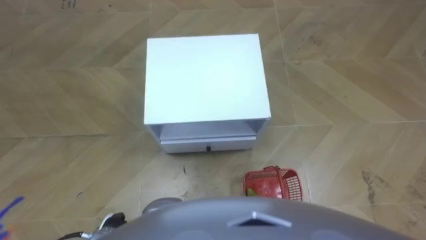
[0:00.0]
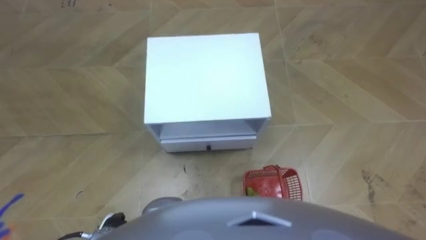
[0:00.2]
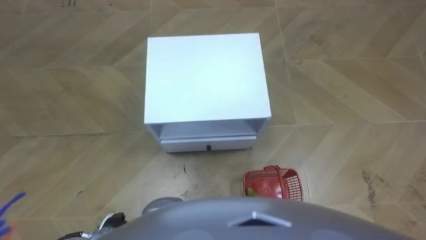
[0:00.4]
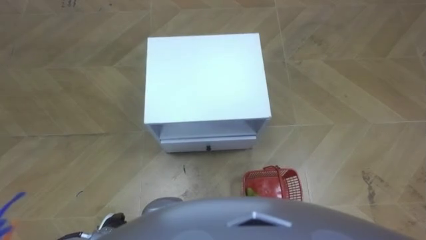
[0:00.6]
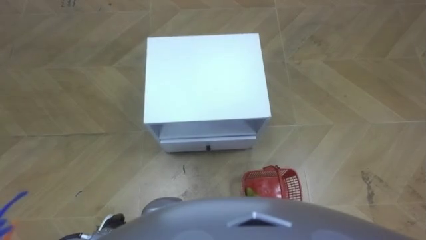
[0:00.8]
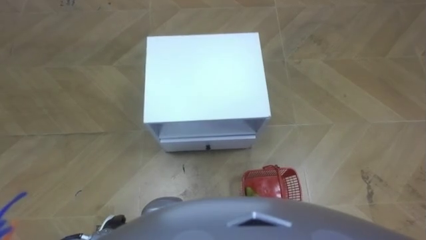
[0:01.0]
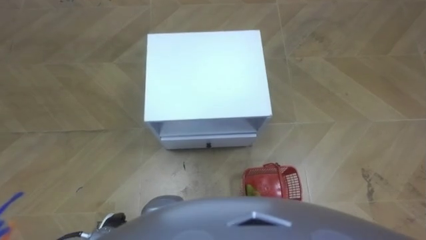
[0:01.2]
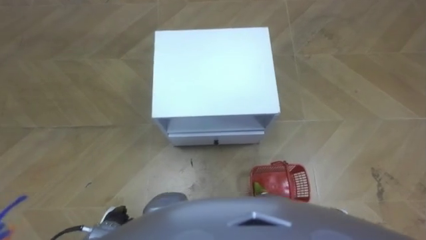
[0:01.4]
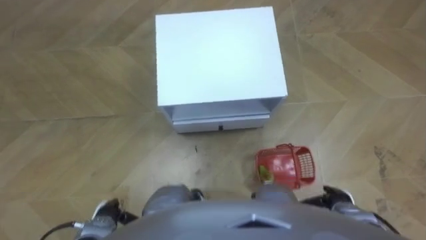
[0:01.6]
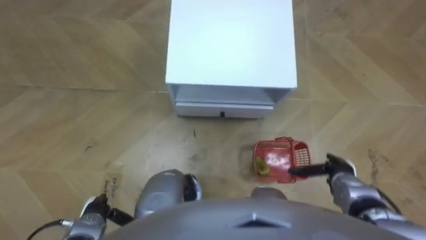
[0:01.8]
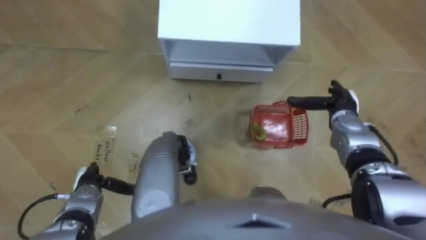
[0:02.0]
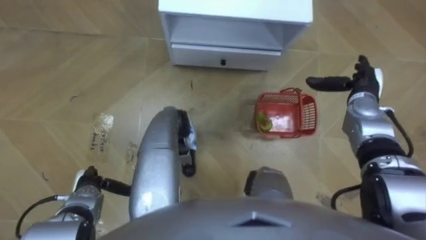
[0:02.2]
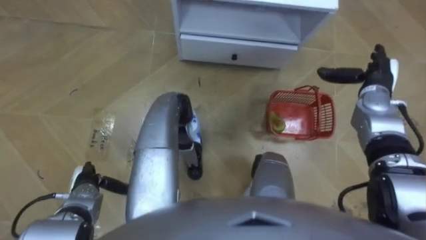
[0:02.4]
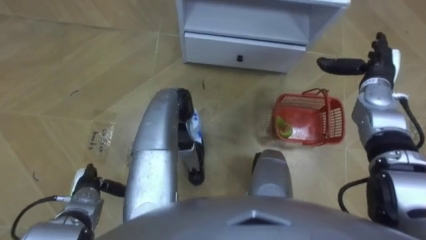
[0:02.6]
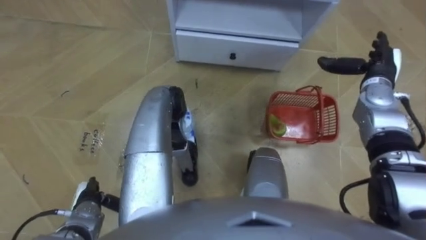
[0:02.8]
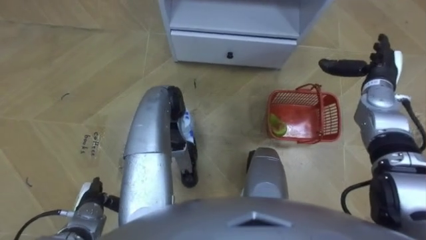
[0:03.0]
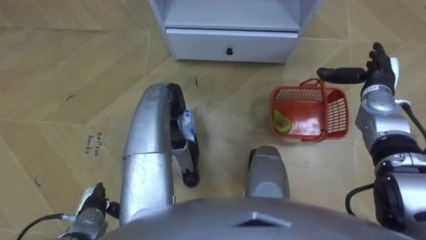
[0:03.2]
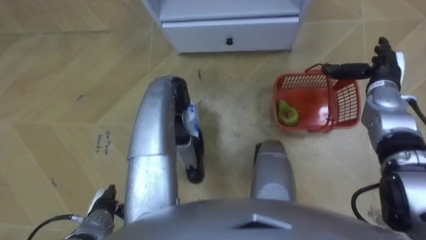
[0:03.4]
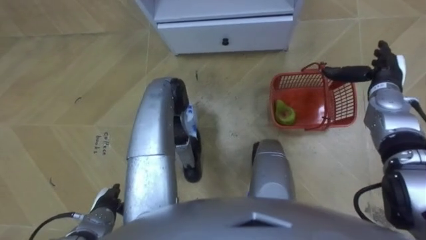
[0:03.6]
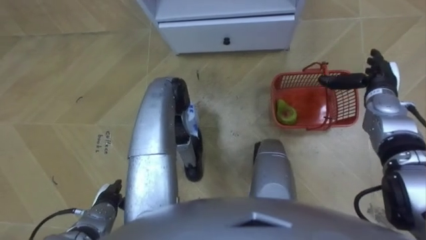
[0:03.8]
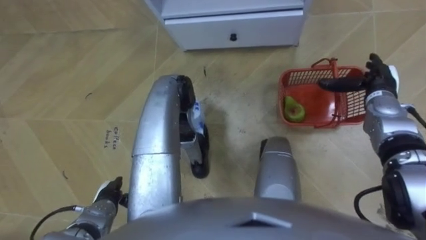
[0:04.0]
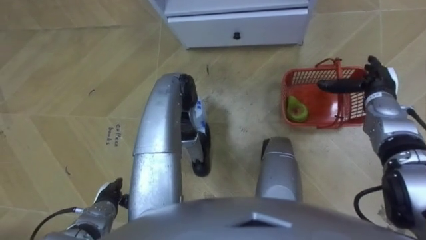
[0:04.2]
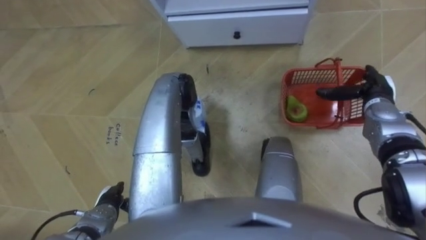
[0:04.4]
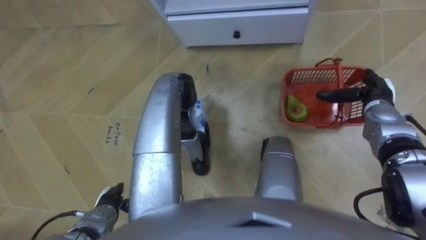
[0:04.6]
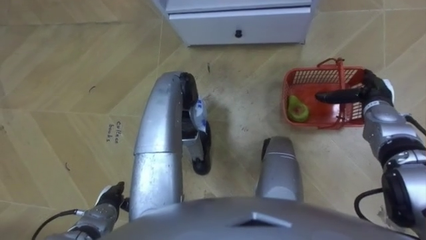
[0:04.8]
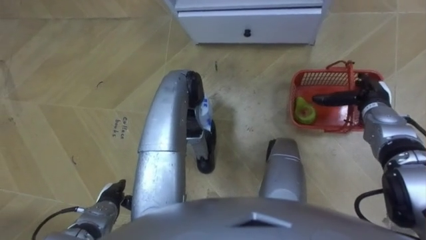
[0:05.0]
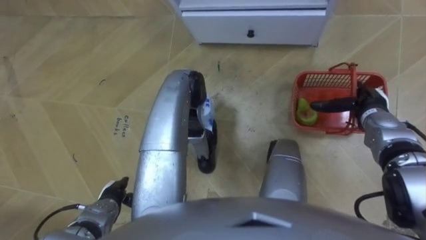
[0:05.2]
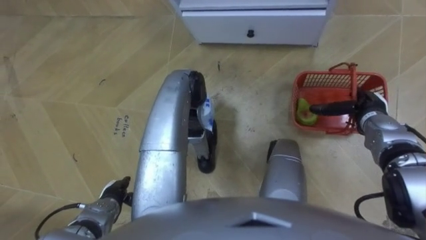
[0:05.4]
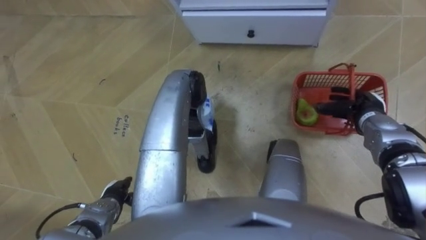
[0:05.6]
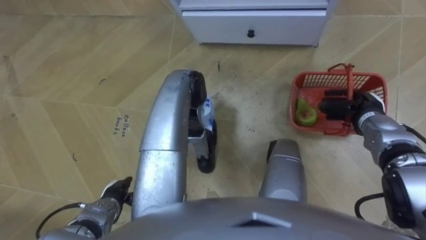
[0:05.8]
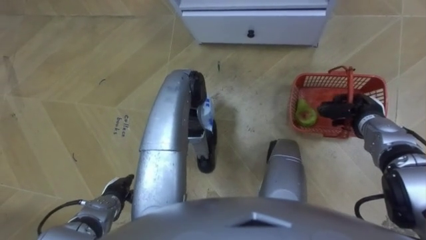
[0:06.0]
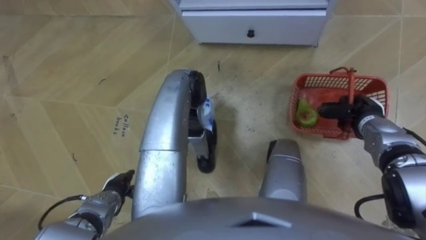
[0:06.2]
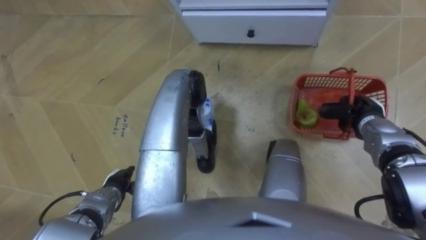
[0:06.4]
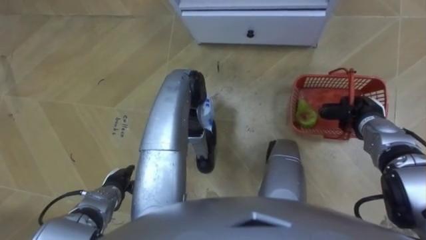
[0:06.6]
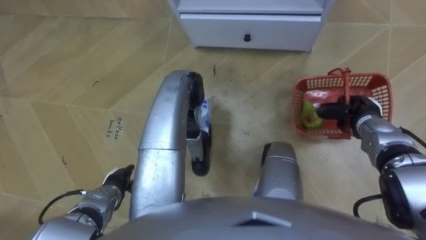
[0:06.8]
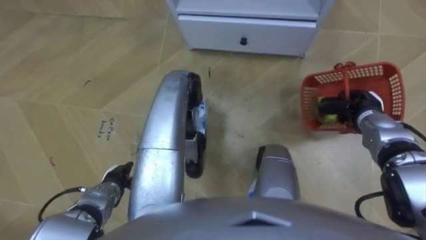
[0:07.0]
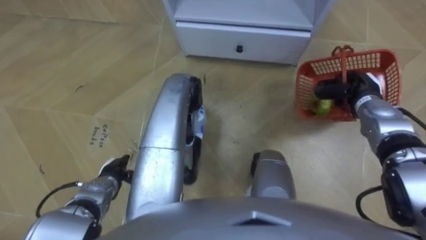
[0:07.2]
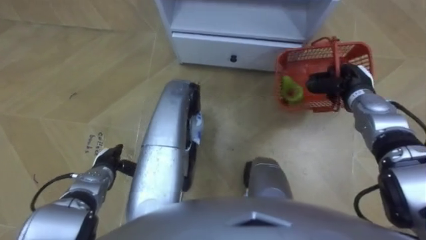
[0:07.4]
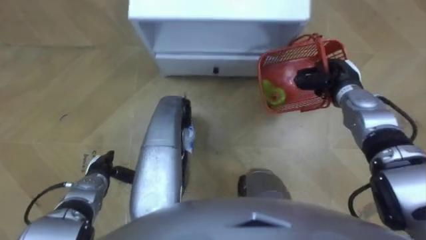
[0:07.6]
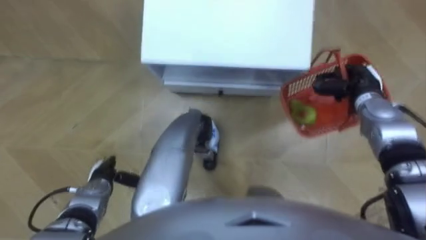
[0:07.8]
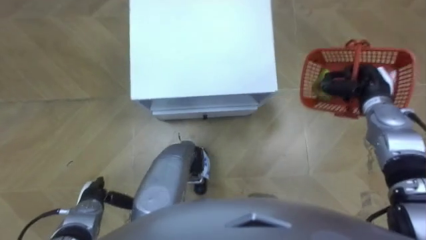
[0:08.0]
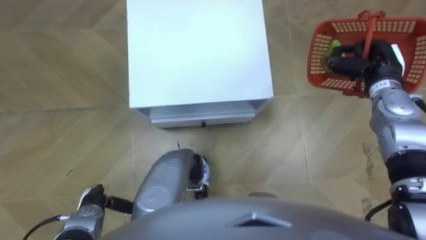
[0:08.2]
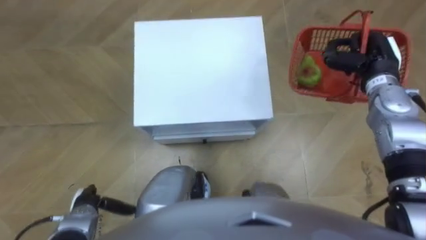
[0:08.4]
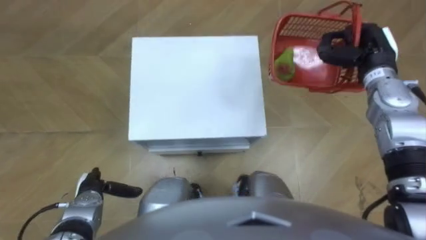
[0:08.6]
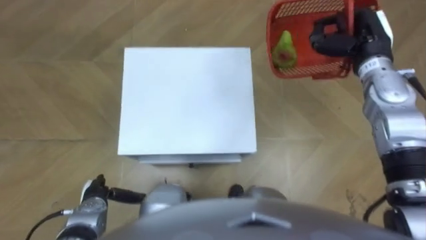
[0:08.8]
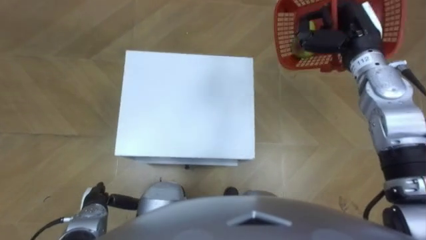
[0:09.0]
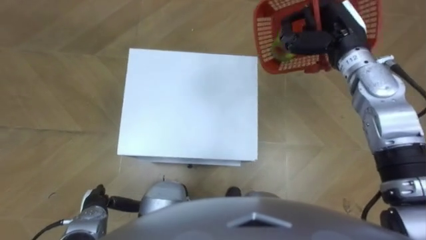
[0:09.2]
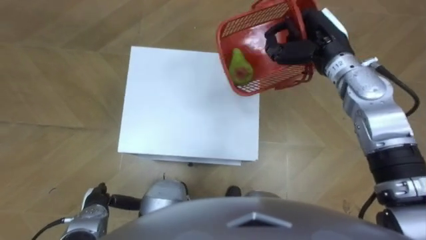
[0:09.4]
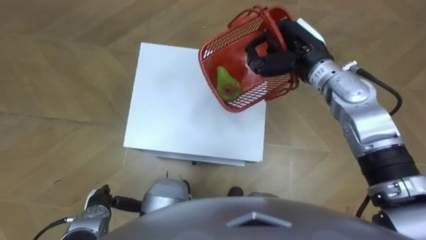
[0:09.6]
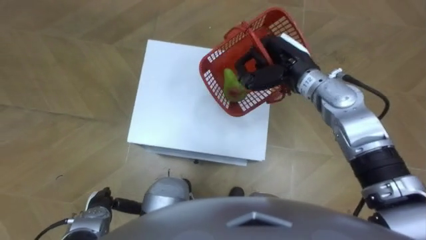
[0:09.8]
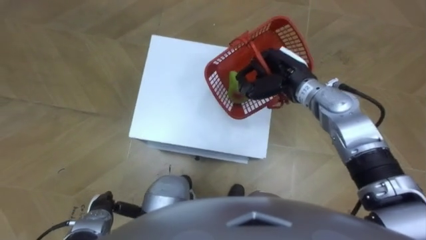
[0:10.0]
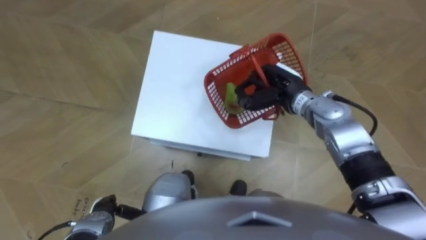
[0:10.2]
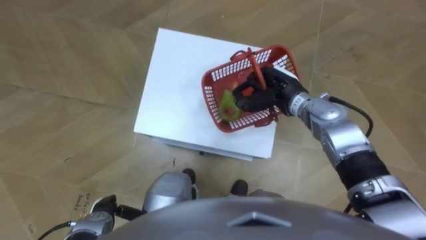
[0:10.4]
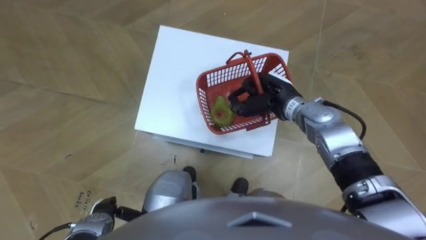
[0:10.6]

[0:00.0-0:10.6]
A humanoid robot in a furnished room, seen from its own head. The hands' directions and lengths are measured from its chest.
Task of the whole recording: Pick up the fruit basket from the floor and place it on the cabinet.
0:01.6 to 0:03.0: The right hand shifts approximately 30 cm forward and upward.
0:03.0 to 0:04.6: The right hand moves some 5 cm.
0:04.6 to 0:06.0: The right hand closes.
0:06.0 to 0:07.6: The left hand heads forward, covering approximately 5 cm, while the right hand travels forward and to the left by approximately 10 cm.
0:07.6 to 0:09.0: The left hand is displaced backward by roughly 10 cm; the right hand goes roughly 10 cm upward.
0:09.0 to 0:10.6: The right hand heads to the left, downward and backward, covering roughly 20 cm.

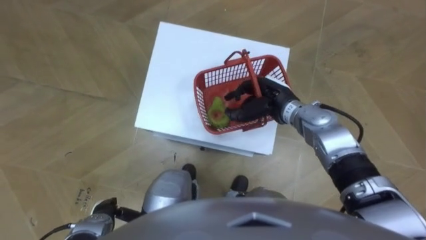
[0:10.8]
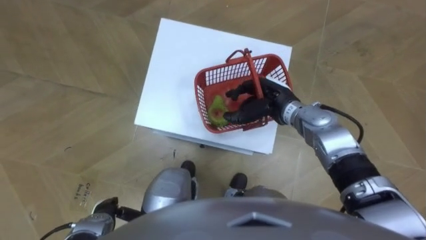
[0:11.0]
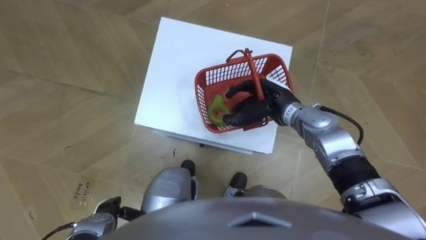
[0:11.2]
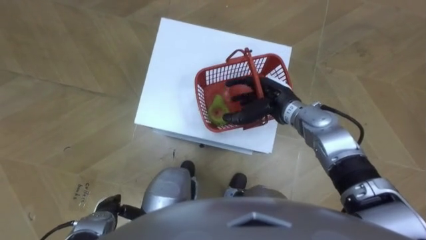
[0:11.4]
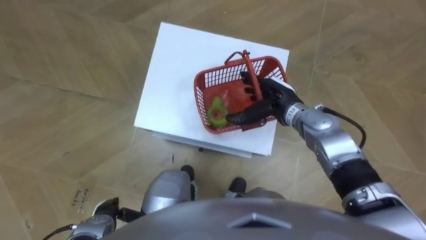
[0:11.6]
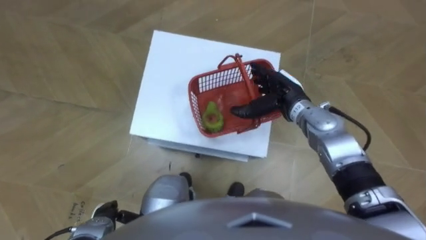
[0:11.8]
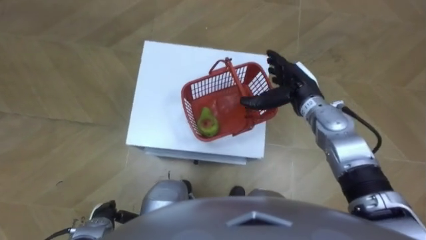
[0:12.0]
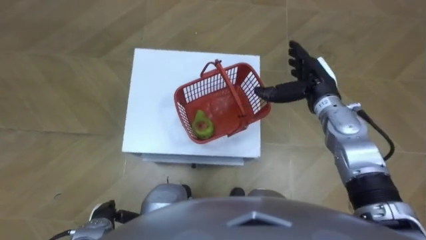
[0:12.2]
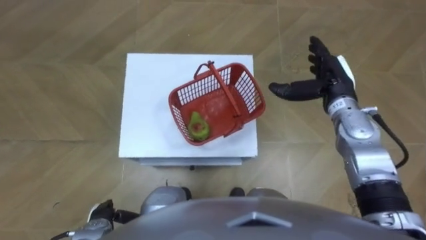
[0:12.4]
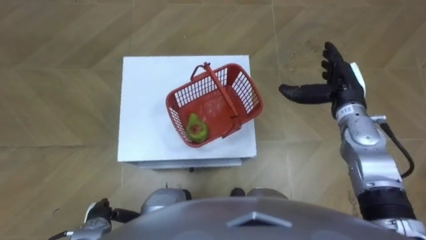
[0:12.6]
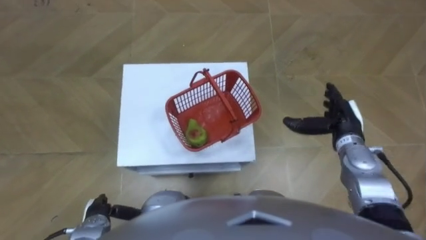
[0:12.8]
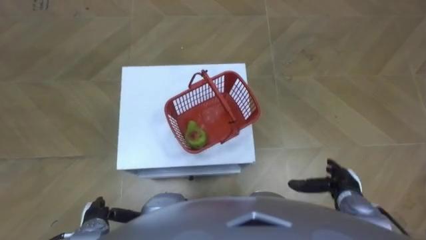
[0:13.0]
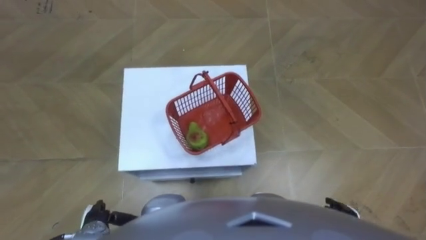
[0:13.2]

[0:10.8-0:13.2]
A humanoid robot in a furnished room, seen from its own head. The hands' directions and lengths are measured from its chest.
Task of the whole recording: Pick up the fruit basket from the floor and place it on the cabinet.
0:10.8 to 0:12.0: The right hand shifts by some 5 cm, and opens its fingers.
0:12.0 to 0:13.2: The right hand shifts approximately 30 cm backward, downward and to the right.

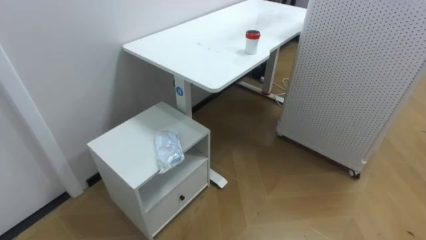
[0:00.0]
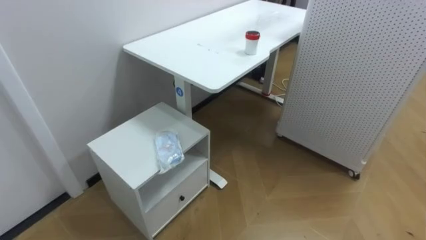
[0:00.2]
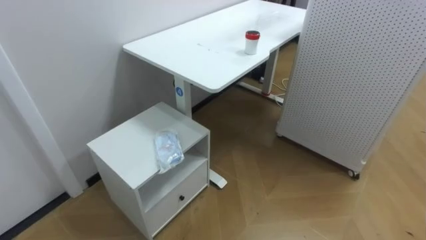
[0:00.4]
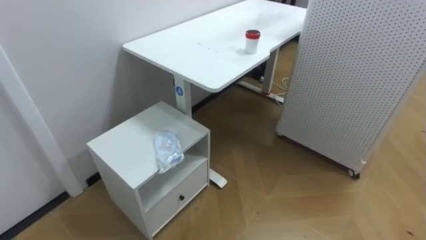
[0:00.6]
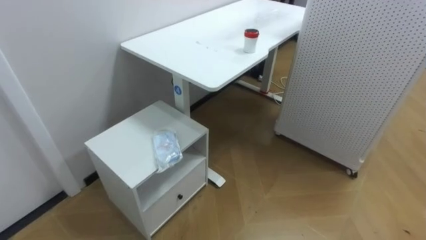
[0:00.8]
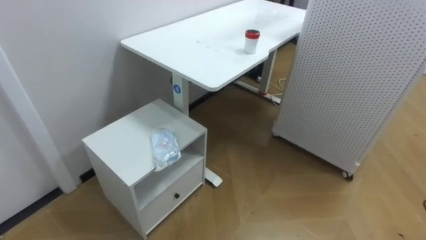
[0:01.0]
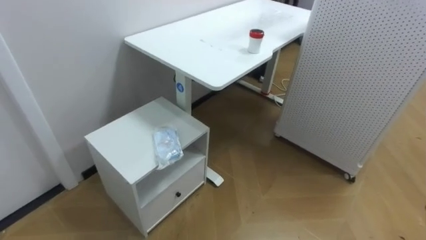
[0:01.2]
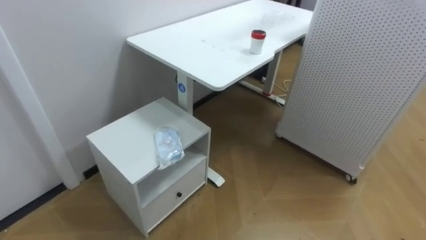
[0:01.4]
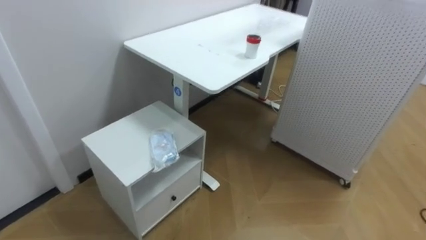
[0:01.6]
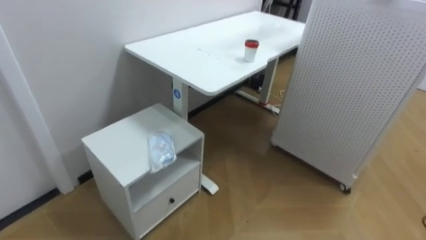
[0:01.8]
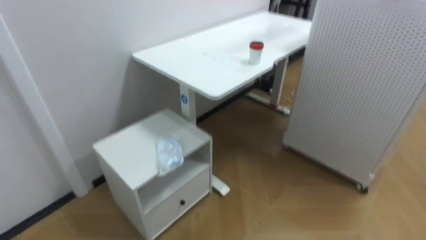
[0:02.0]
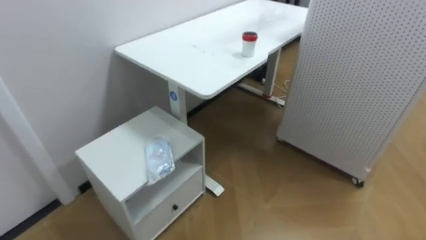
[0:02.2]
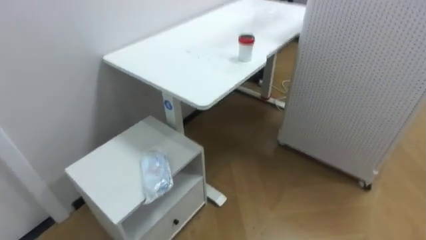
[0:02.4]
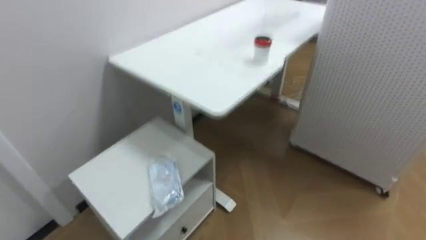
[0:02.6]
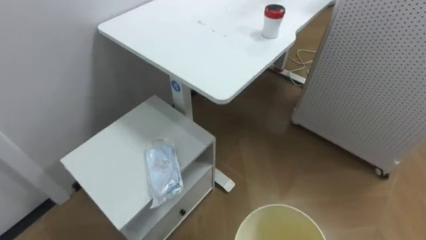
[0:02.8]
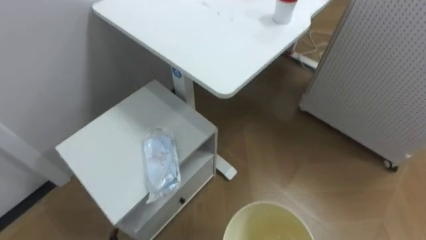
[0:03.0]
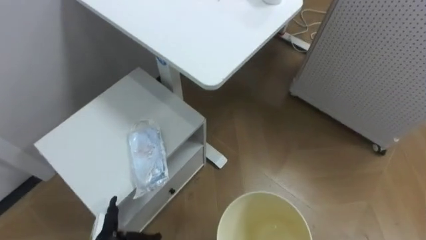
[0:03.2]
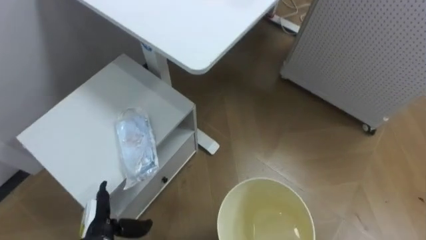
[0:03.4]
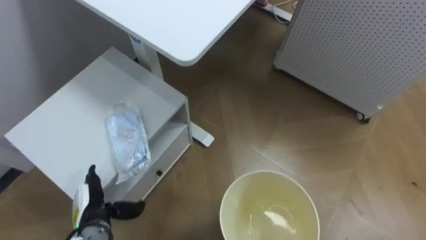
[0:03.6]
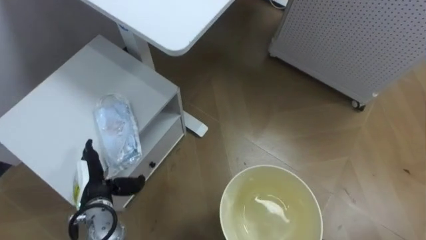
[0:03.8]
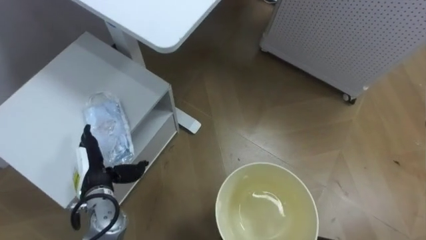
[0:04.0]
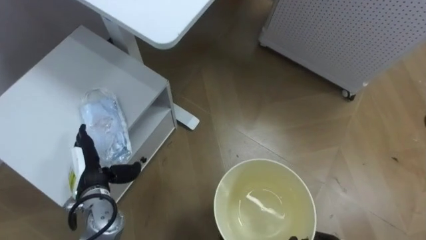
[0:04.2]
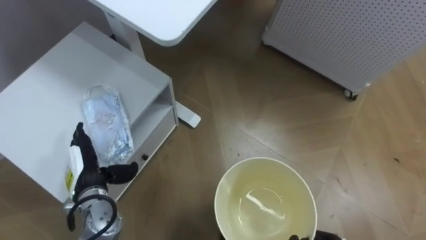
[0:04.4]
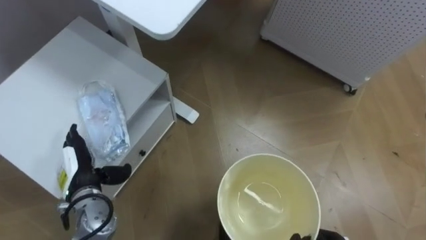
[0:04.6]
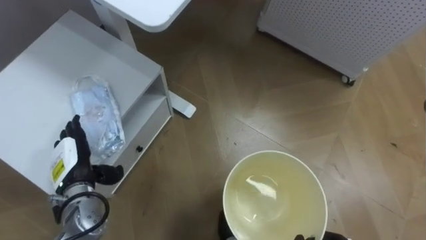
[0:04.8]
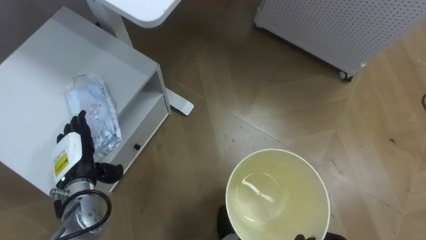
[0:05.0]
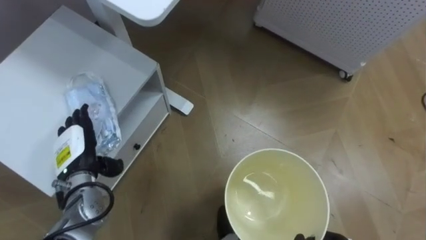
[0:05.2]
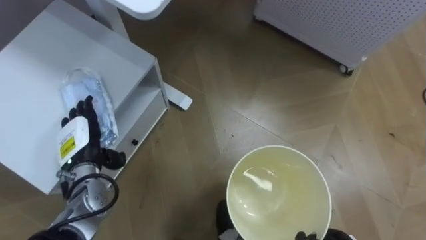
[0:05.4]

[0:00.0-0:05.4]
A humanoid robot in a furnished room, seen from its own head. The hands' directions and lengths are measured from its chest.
Task of the whole recording: Pick up the light blue package, the candy box, and the dark blue package separately, and put them into the trash can held in your right hand.
0:04.0 to 0:05.4: The left hand shifts by about 5 cm.
